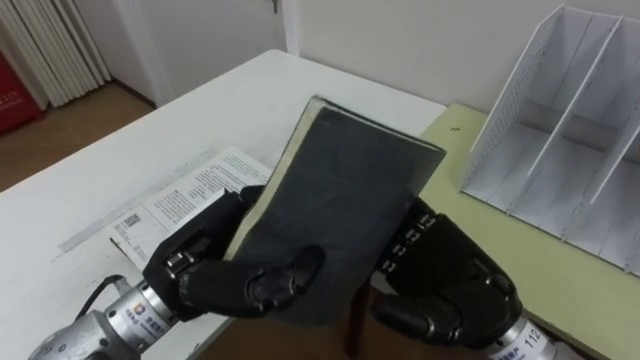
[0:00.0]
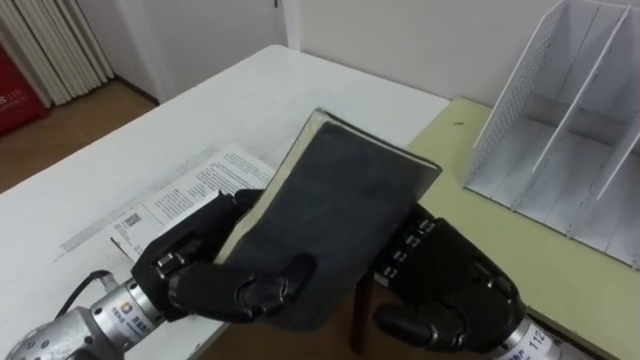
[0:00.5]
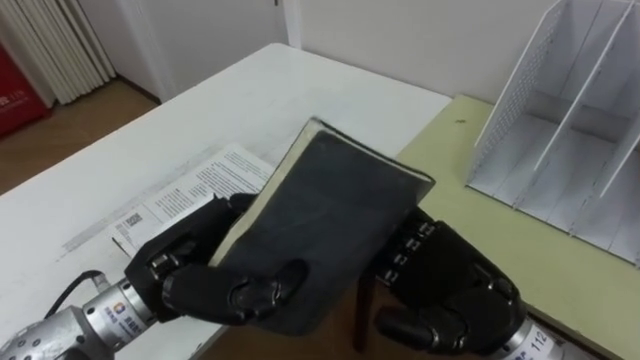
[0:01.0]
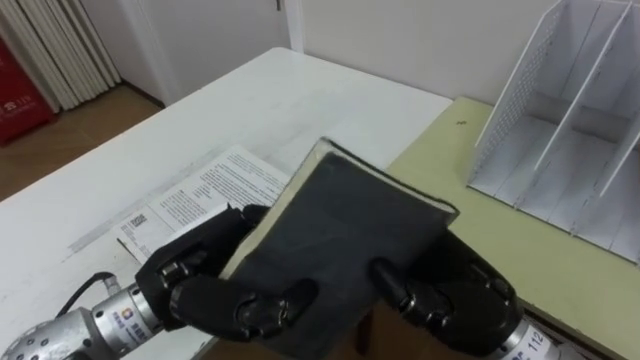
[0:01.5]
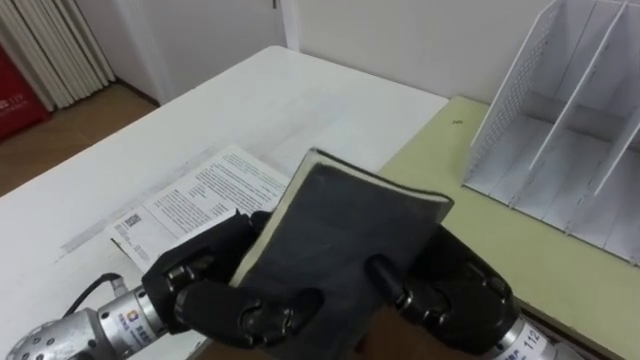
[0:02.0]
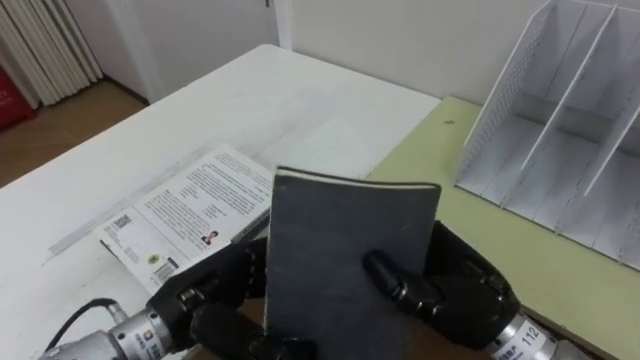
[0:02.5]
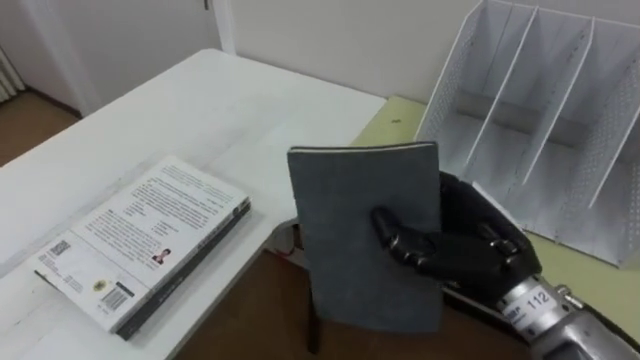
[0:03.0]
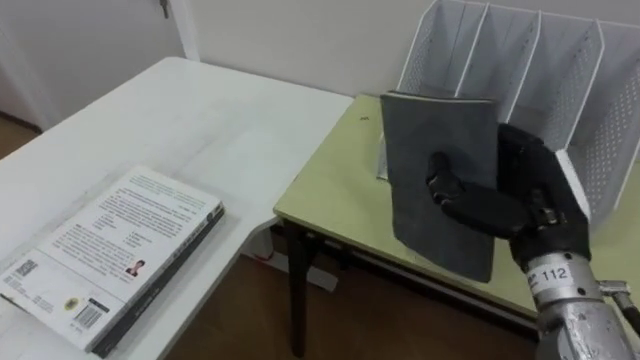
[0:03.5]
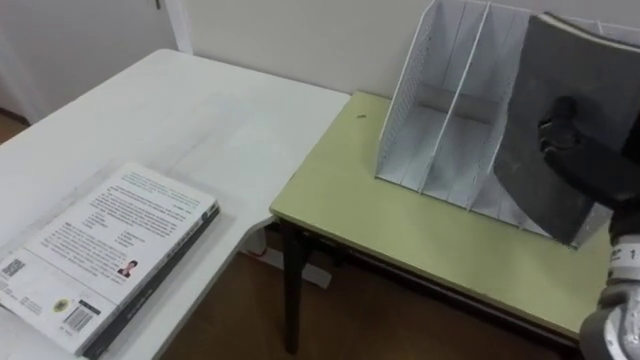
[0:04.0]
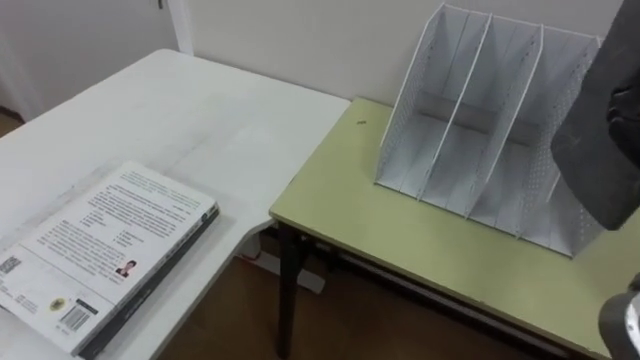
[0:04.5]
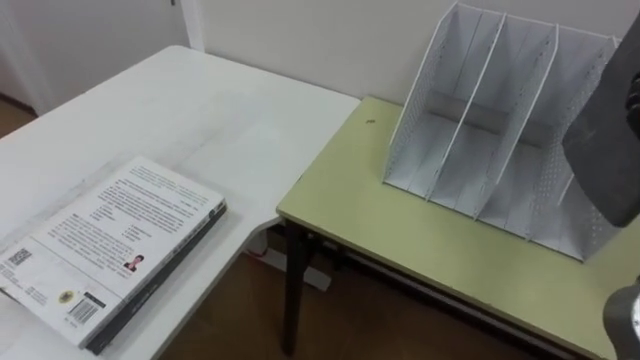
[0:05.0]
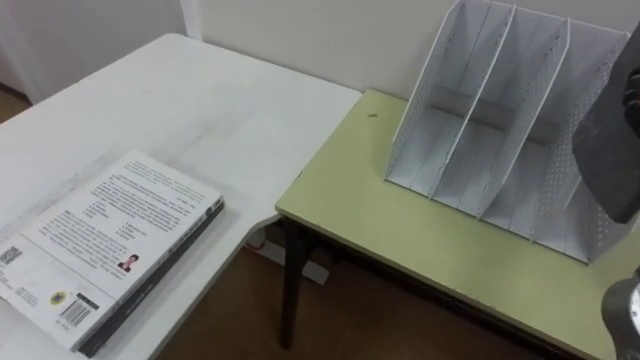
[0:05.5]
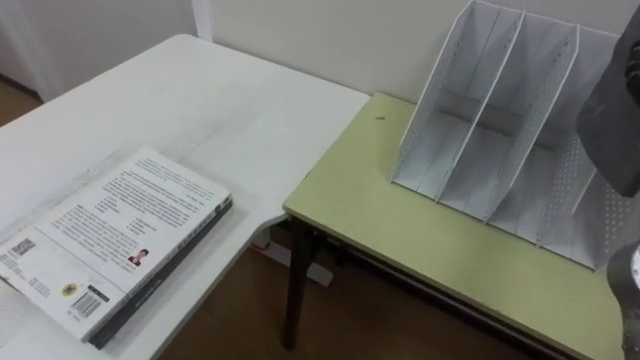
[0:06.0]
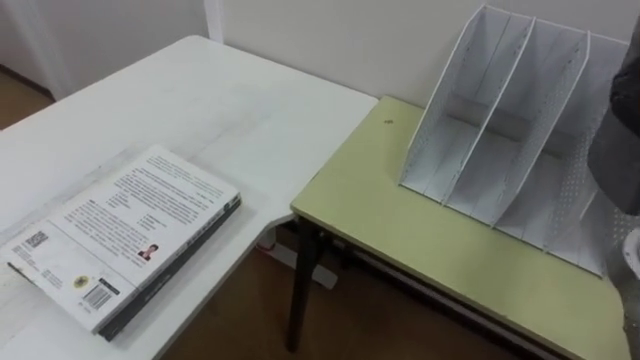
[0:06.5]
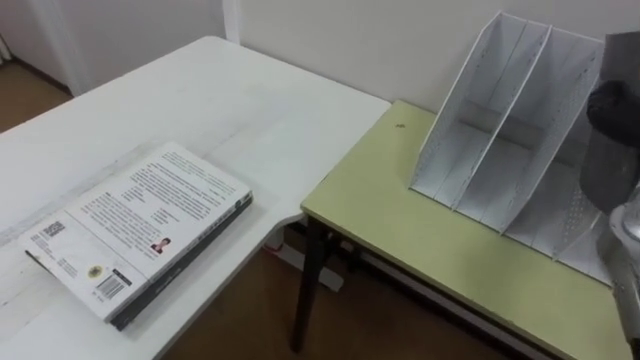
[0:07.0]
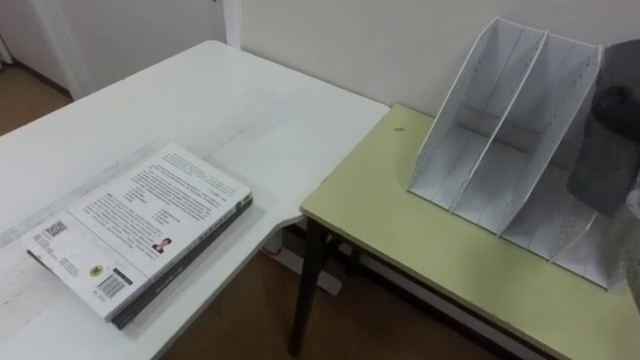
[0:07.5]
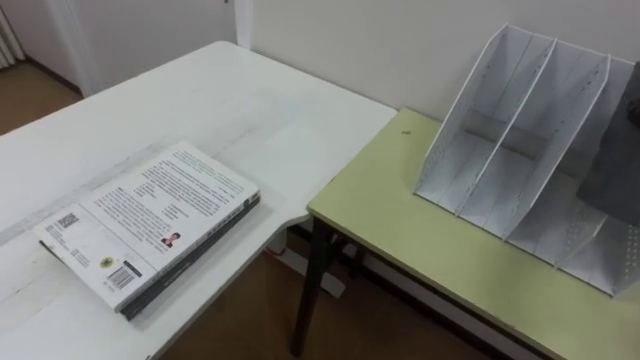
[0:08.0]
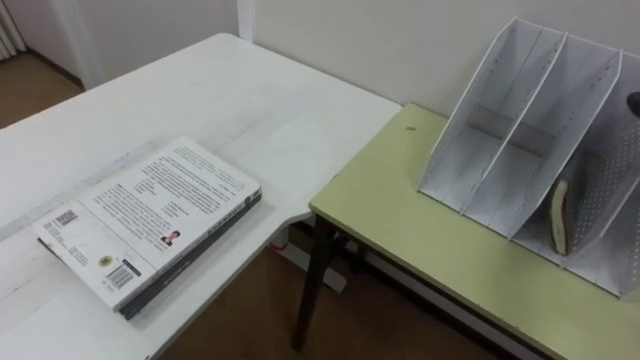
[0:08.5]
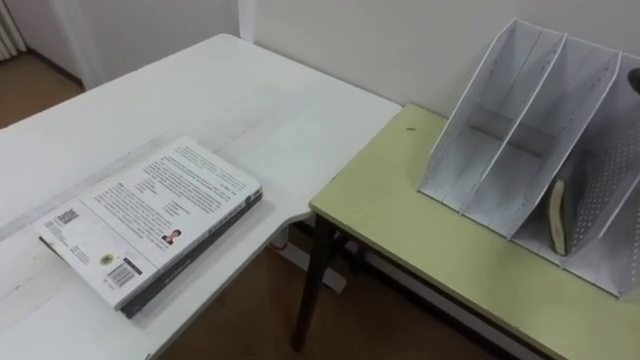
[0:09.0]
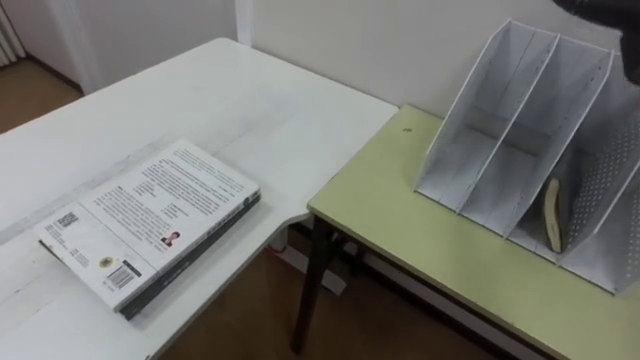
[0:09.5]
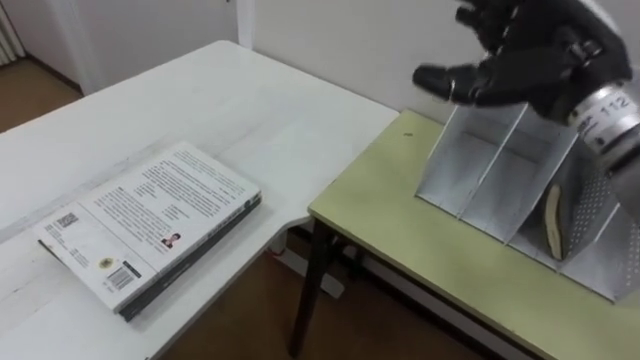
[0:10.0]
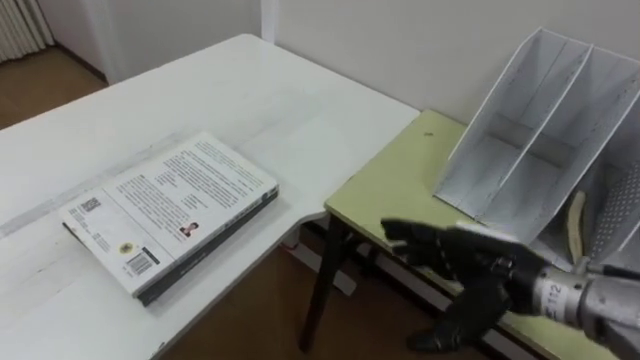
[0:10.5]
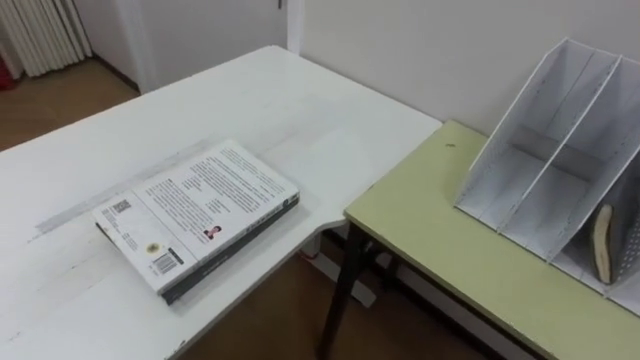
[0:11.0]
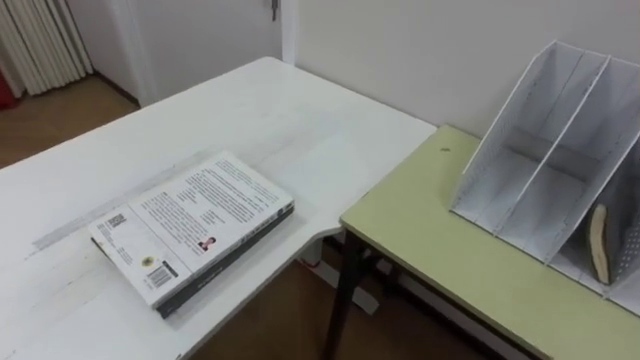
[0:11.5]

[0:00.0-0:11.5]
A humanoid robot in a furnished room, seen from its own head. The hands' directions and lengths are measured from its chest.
Task of the whole recording: Put the books on the table onto the bookshelf.
0:00.0 to 0:02.0: The right hand closes its fingers.
0:02.0 to 0:04.0: The right hand moves to the right and upward, some 20 cm.

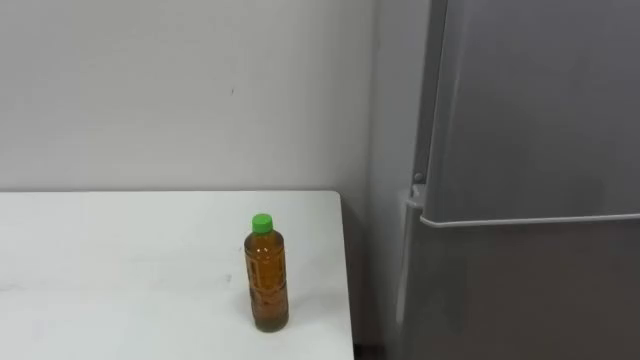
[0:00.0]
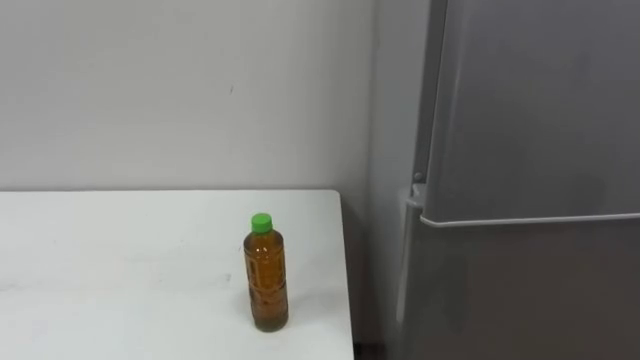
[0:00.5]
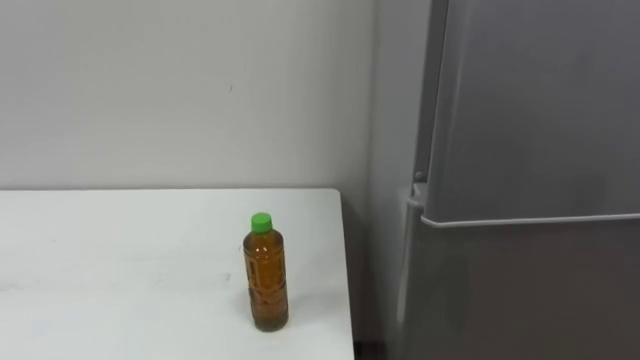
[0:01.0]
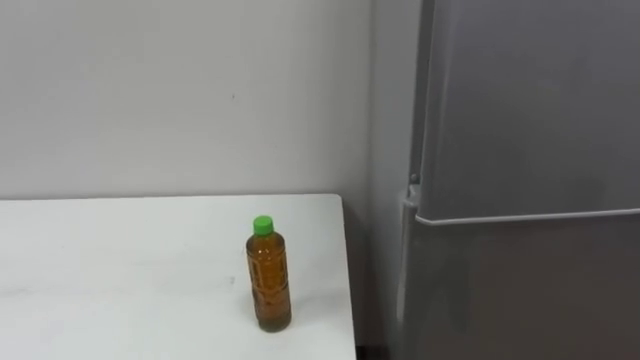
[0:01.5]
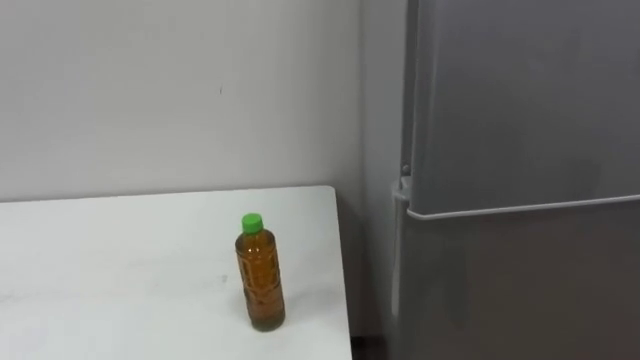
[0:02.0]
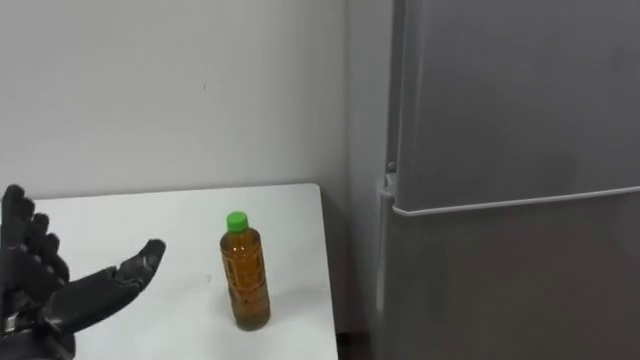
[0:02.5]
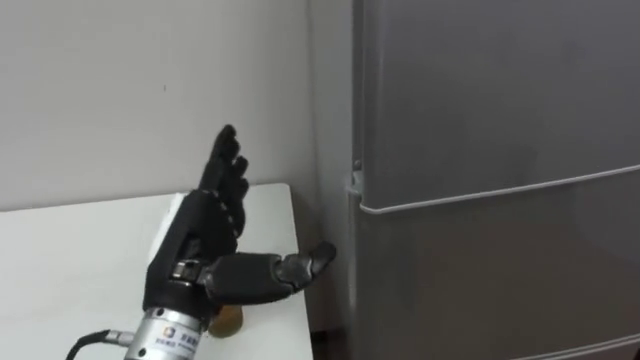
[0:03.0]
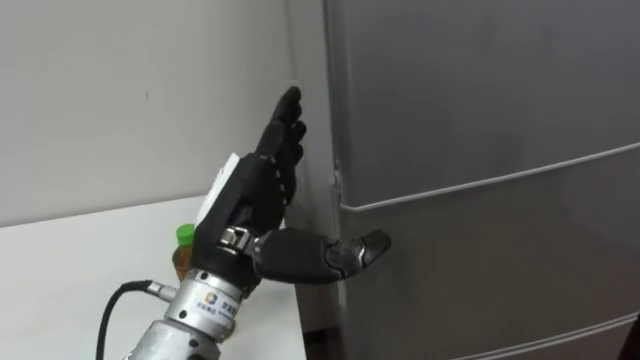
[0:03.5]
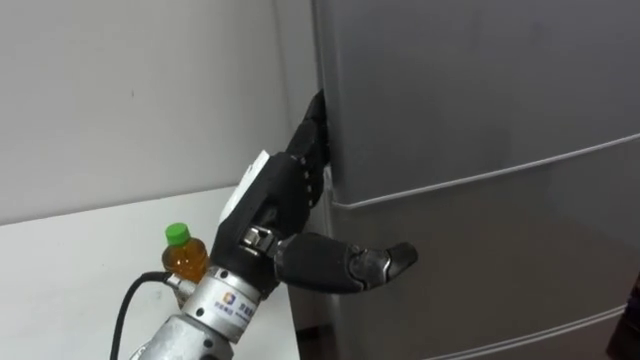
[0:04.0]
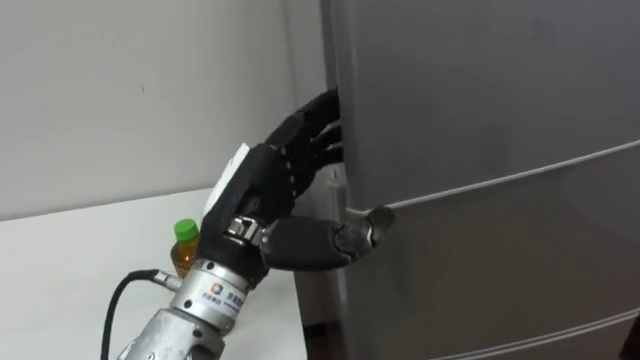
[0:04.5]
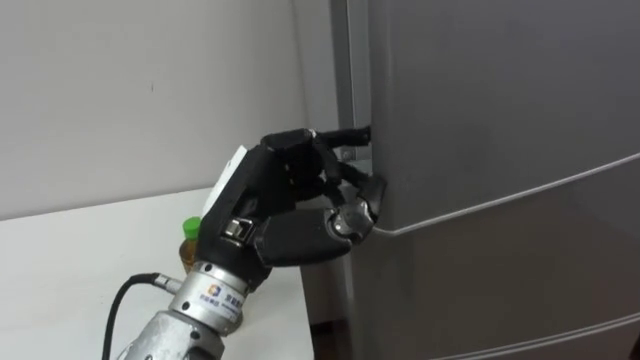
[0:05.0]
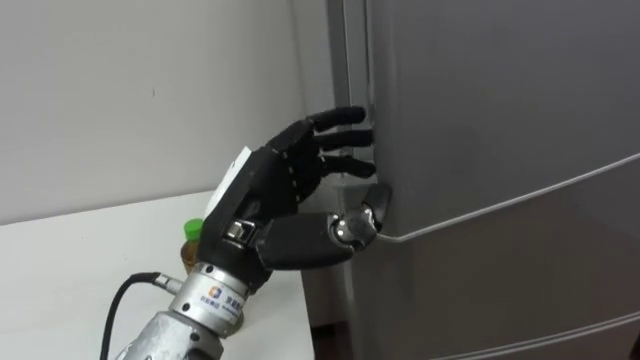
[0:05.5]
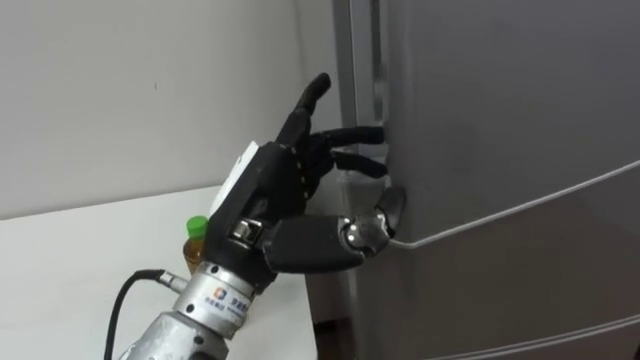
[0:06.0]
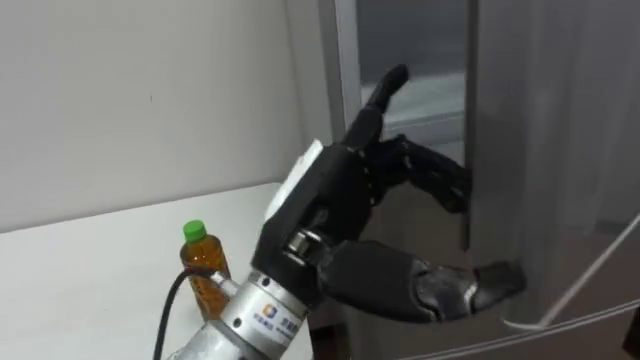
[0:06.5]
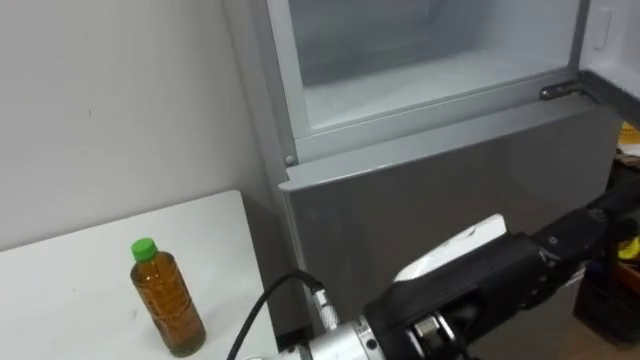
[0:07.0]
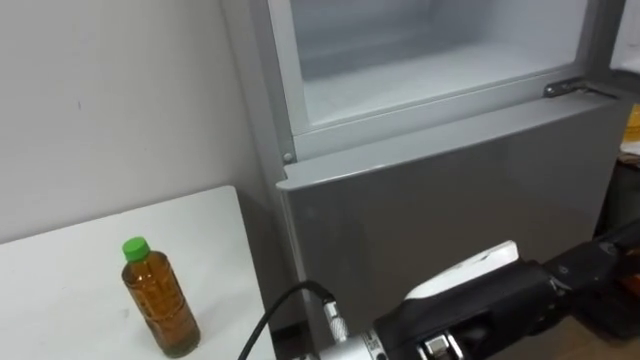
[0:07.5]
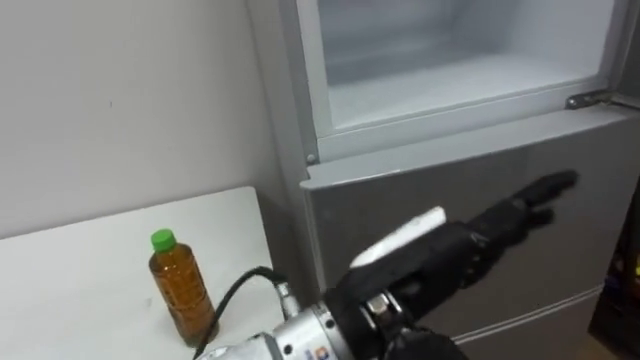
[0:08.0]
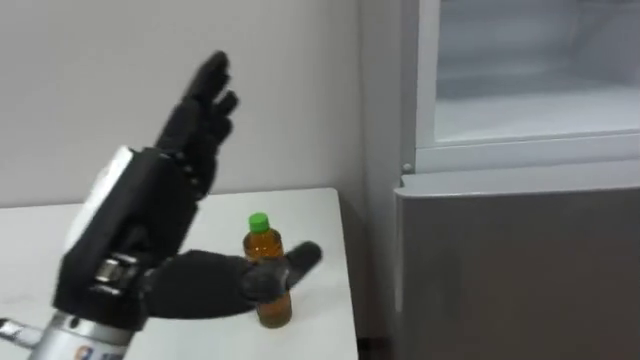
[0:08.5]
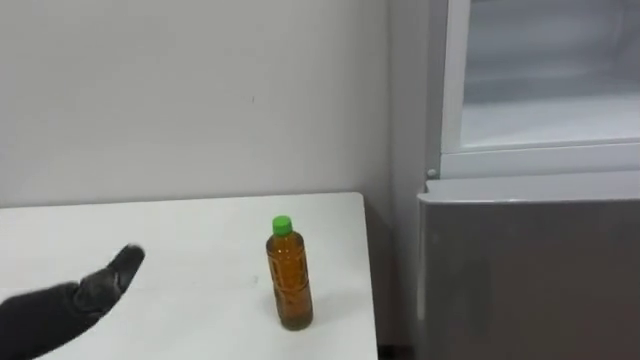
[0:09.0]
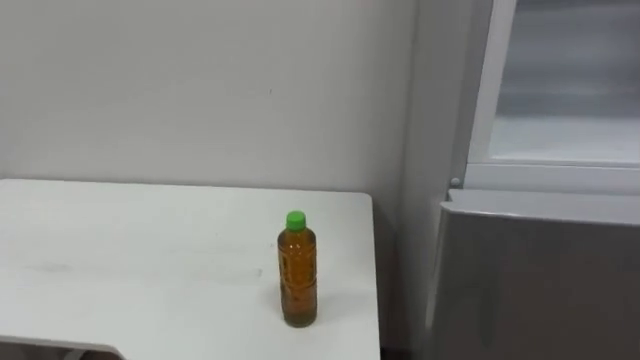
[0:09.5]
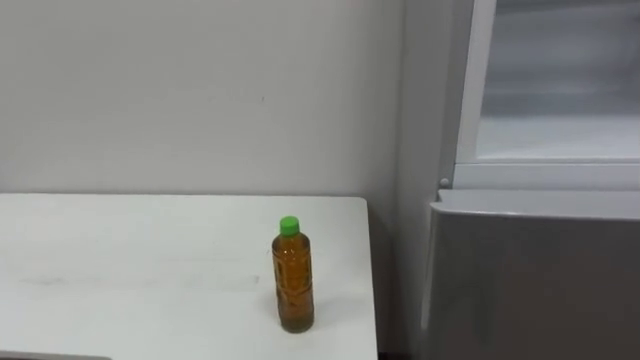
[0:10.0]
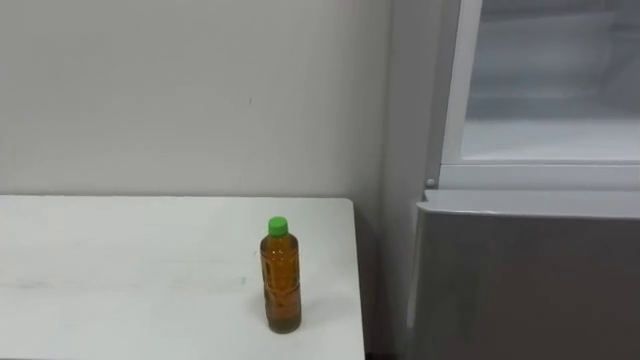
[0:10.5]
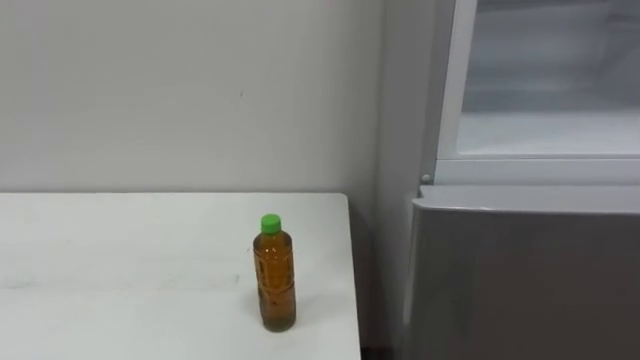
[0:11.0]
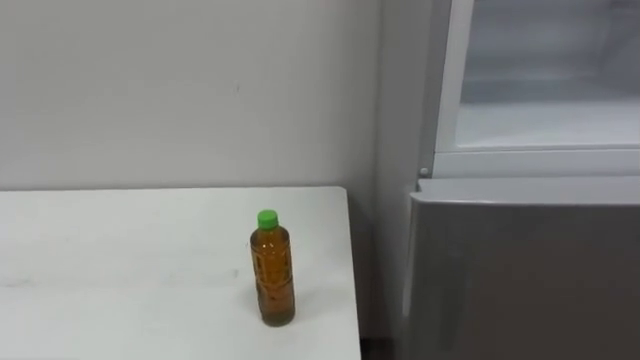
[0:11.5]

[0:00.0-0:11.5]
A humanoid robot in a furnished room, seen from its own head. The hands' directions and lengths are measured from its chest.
Task of the whole recording: Open the upper refrigerator door, put the drink from the table into the refrigerator, and then close the refrigerator door.
0:04.0 to 0:06.0: The left hand closes and opens again.
0:06.0 to 0:07.5: The left hand goes approximately 15 cm to the right and backward.
